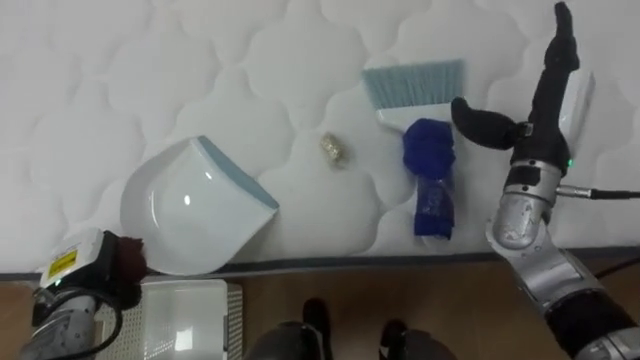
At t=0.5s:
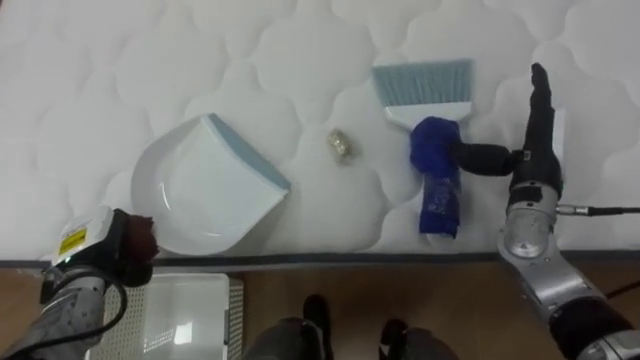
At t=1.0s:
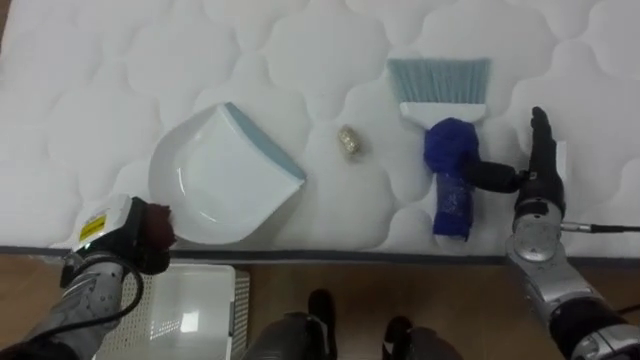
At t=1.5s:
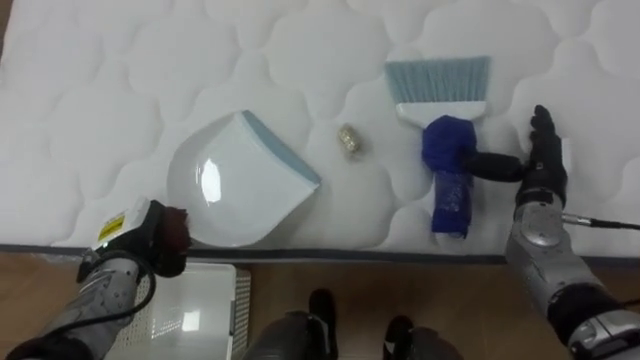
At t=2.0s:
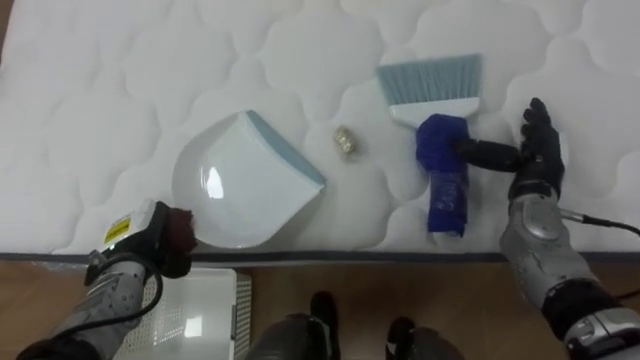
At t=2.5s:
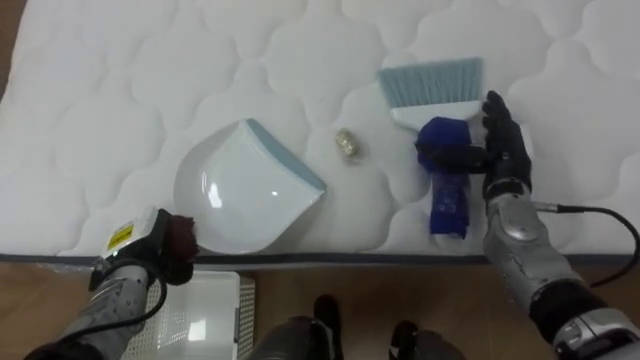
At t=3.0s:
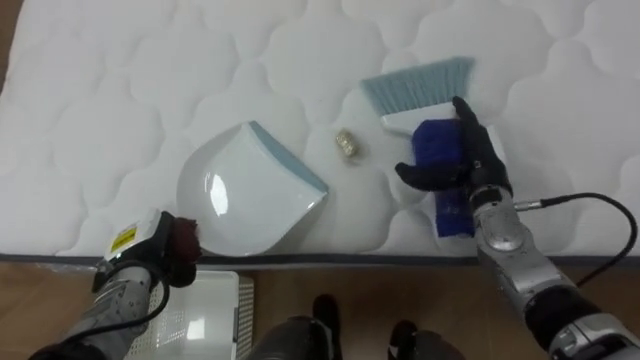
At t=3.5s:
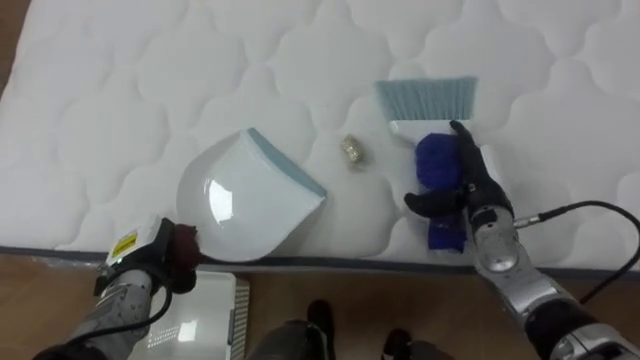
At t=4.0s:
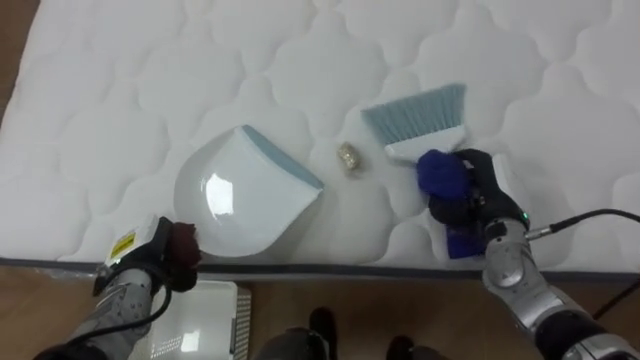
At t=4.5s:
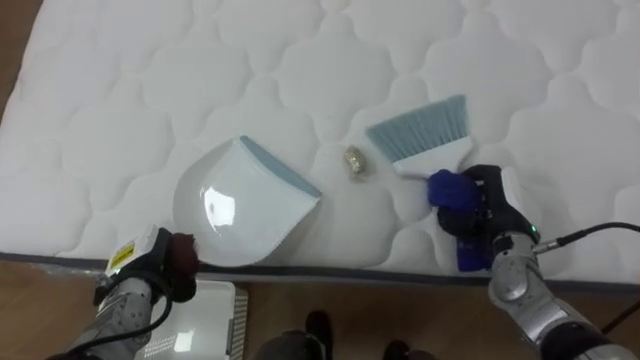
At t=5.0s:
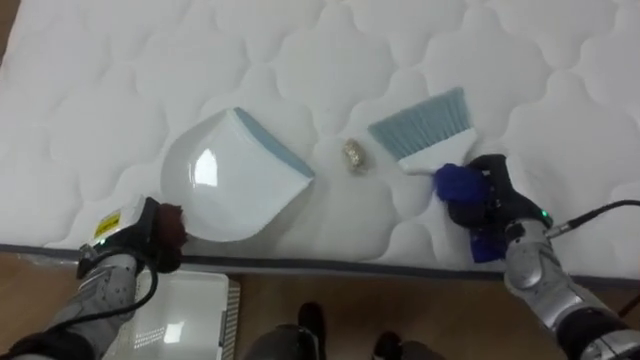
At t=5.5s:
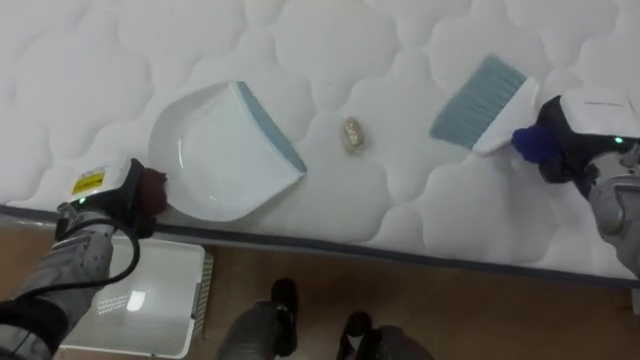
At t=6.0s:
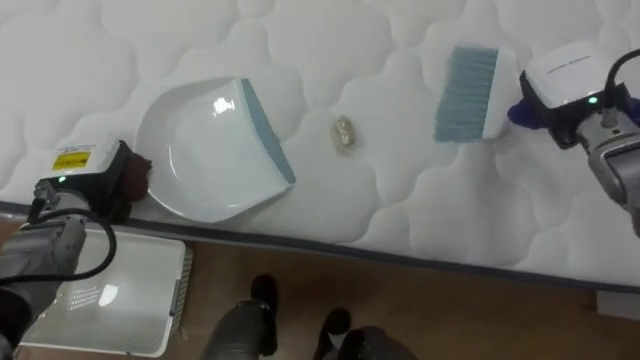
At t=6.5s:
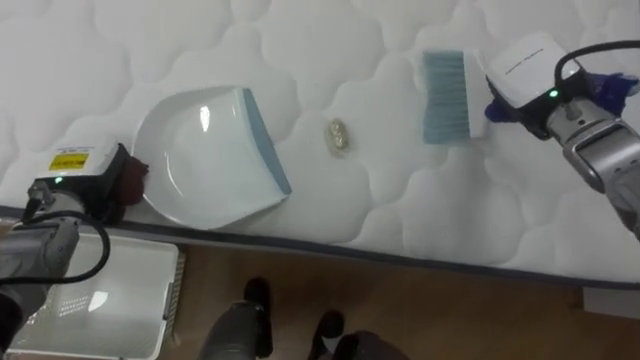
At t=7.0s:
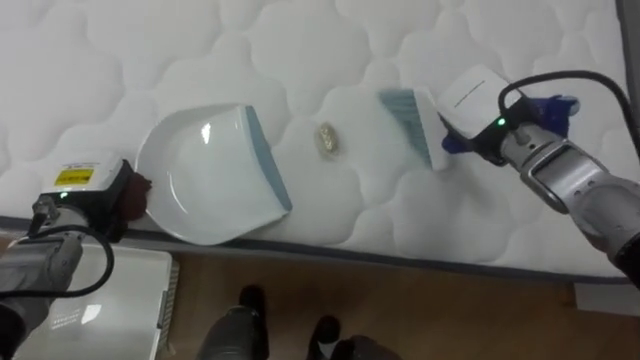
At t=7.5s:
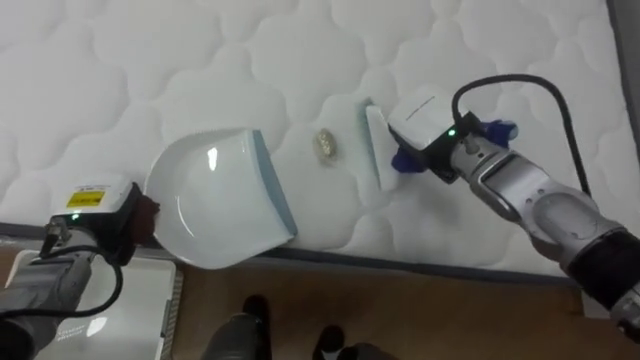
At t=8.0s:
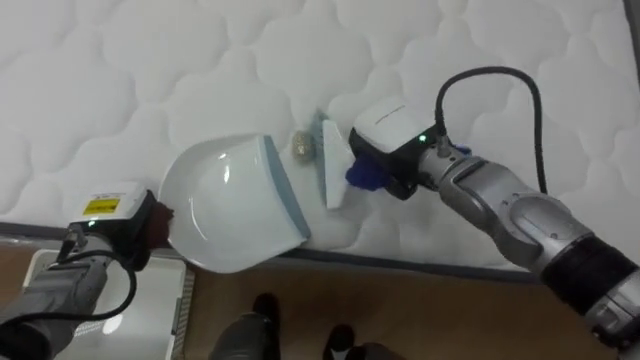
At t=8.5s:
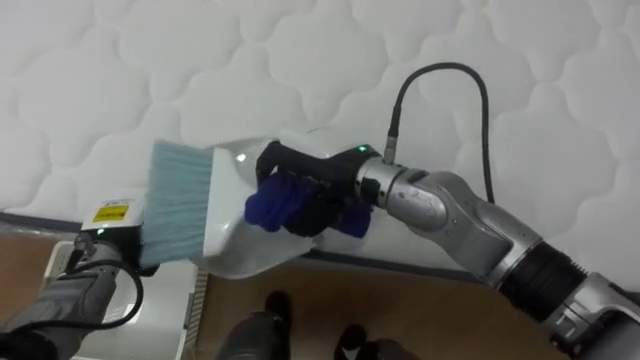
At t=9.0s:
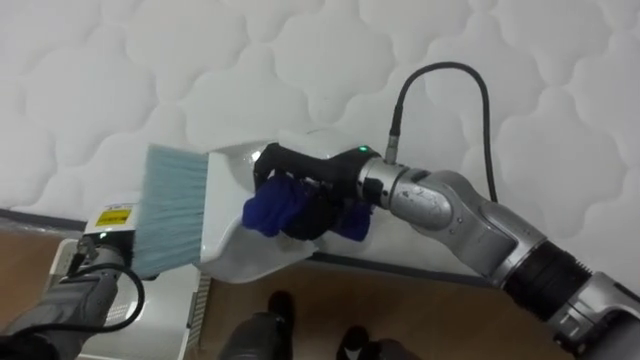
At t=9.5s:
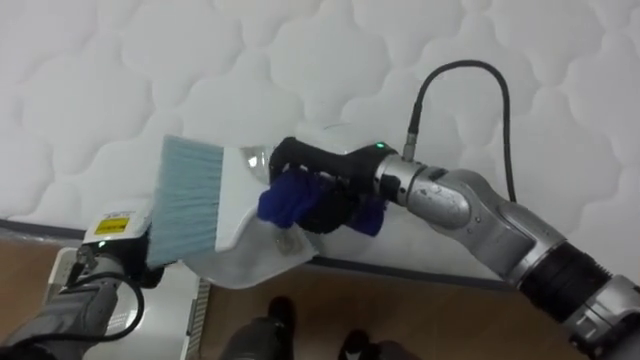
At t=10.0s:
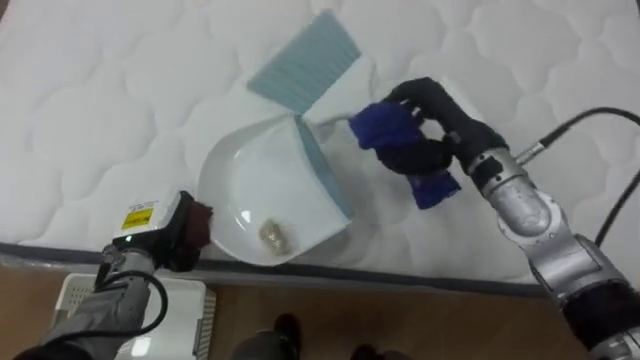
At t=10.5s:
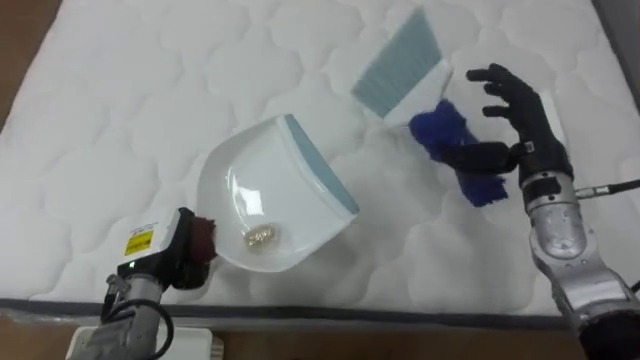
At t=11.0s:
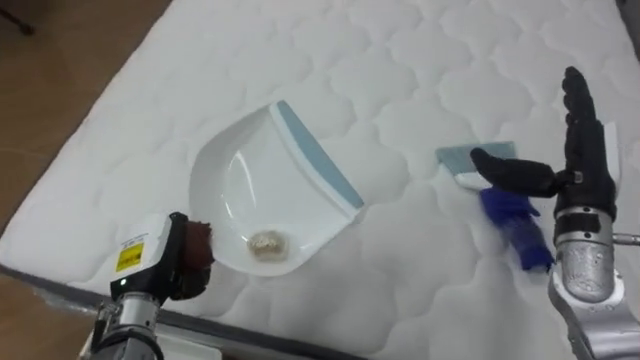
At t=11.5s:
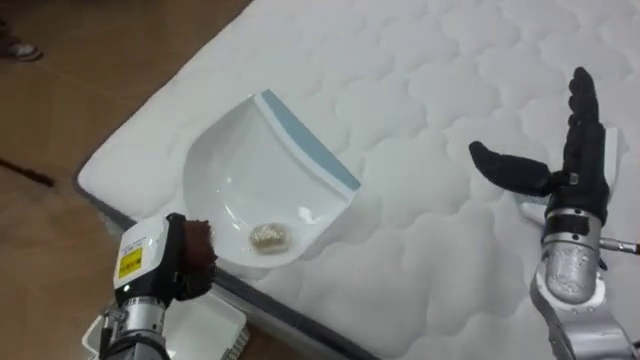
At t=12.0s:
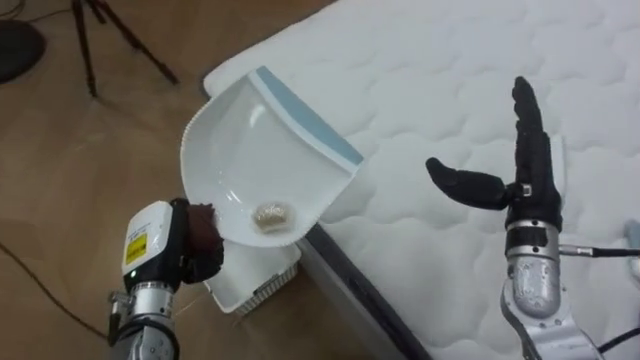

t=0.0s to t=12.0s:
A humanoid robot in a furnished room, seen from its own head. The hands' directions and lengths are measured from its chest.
Task of the whole recording: Pick up the brush on your right and the dustpan on your left. Use the brush to sweep the crumpled paper on the bed into the dustpan, then turn left and empty it into the basket.
t=0.0s to t=2.0s: The right hand goes approximately 10 cm downward, while the left hand travels to the right by some 5 cm.
t=2.0s to t=4.0s: The right hand changes place by approximately 5 cm, and closes up.
t=4.0s to t=6.0s: The right hand moves upward, forward and to the right, about 15 cm, while the left hand heads upward and forward, covering approximately 10 cm.
t=6.0s to t=8.0s: The left hand moves downward, about 5 cm; the right hand moves to the left, approximately 20 cm.
t=8.0s to t=10.0s: Both hands move to the right, approximately 5 cm.
t=10.0s to t=12.0s: The robot rotates about 45 degrees to its left. The right hand heads to the right and backward, covering approximately 10 cm, and opens its fingers.

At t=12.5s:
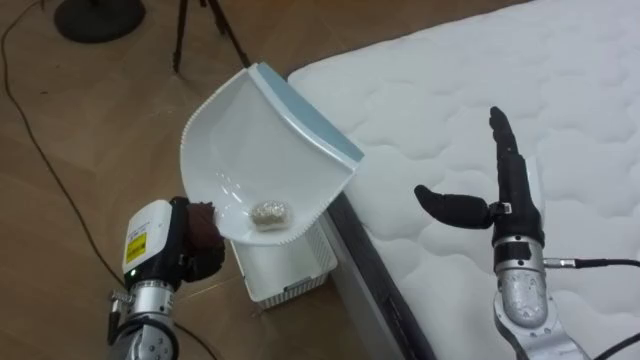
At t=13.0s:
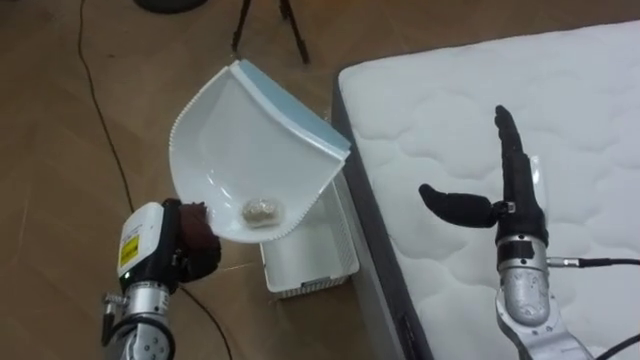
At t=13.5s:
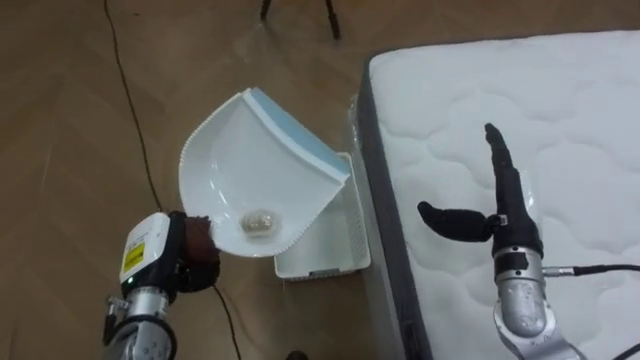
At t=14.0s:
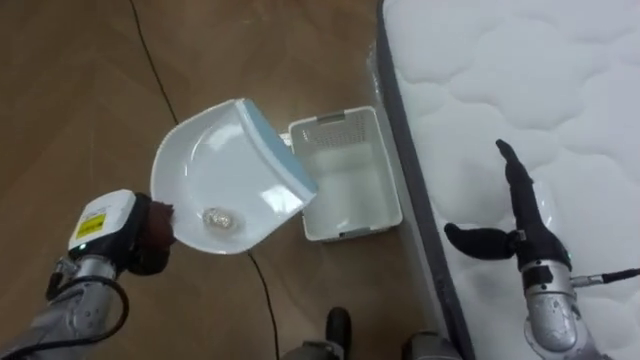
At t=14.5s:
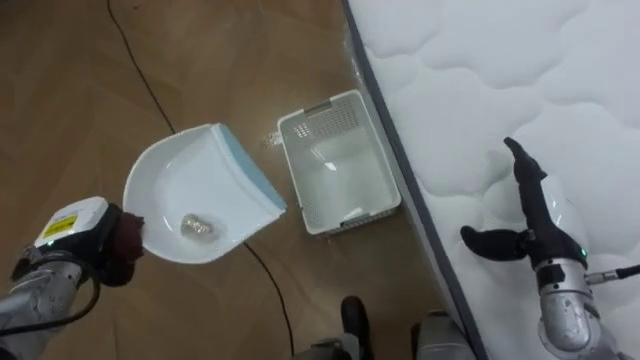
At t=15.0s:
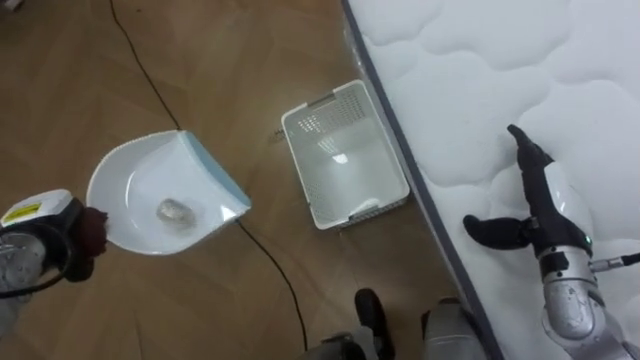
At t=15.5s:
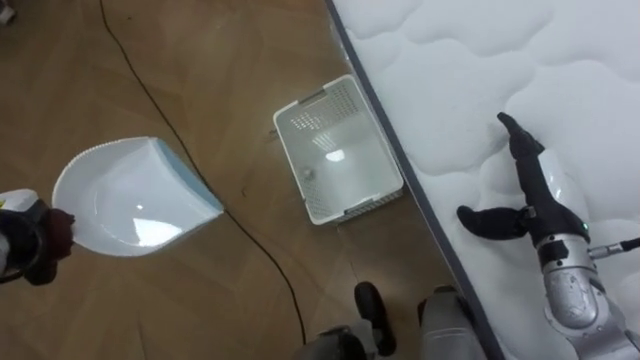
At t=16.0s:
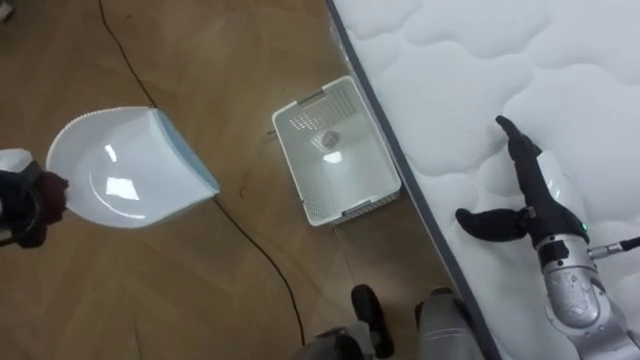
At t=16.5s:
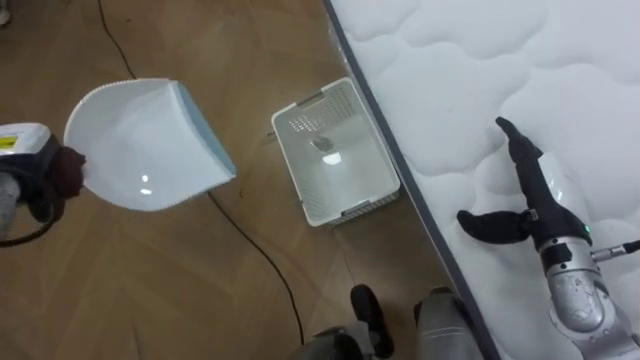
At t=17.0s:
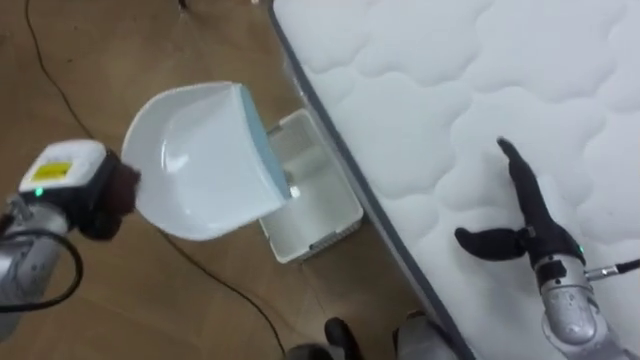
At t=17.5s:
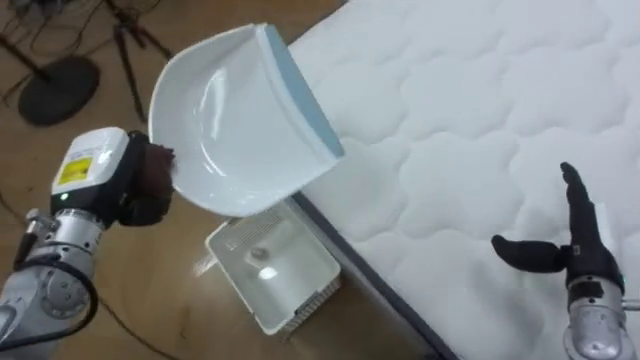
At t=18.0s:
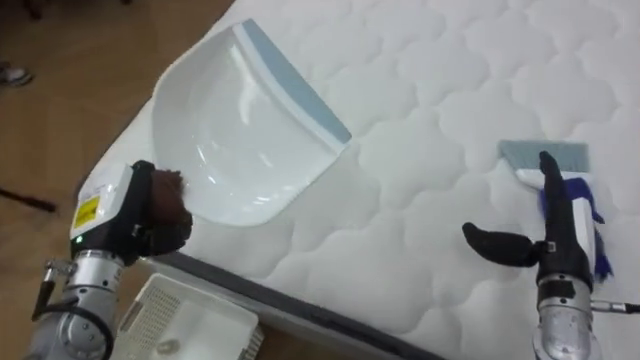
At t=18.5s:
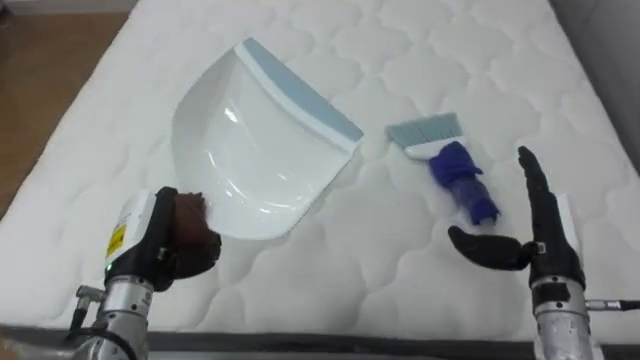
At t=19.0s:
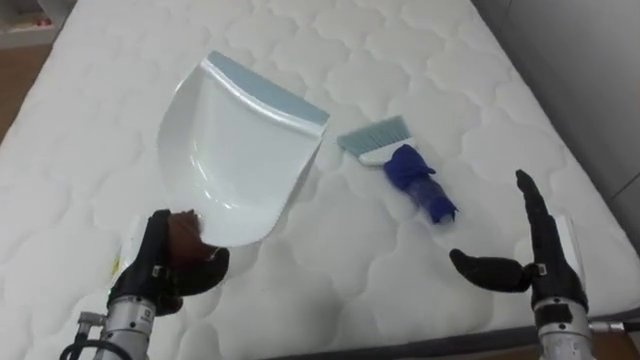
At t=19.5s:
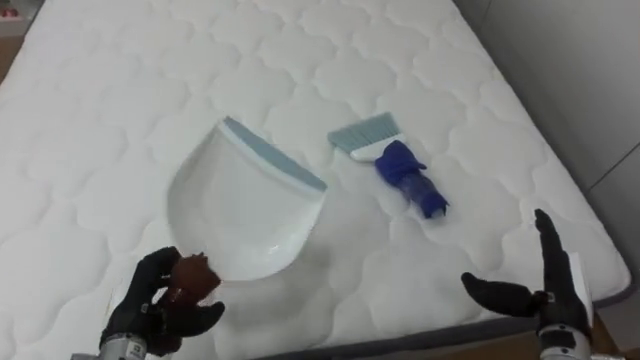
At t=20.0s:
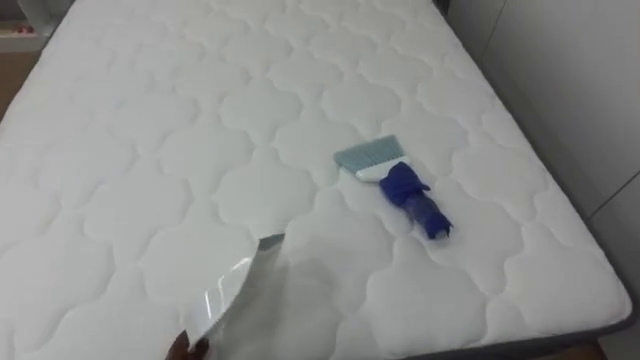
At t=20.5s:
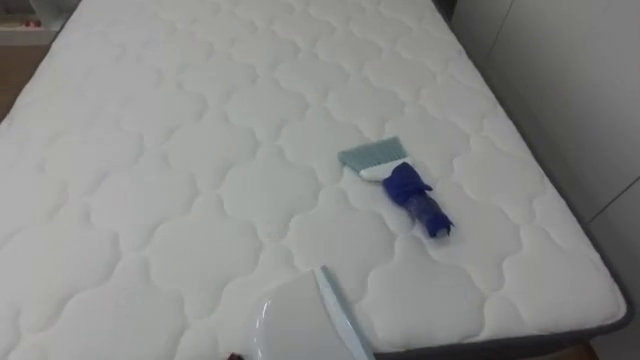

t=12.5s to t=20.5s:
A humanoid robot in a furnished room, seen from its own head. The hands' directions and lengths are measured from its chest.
Task of the whole recording: Pick up the brush on your right and the dustpan on your left. Use the brush to sweep the crumpled paper on the bed into the dustpan, then turn left and empty it into the basket.
t=12.5s to t=14.5s: The left hand heads to the left, covering some 10 cm. The right hand shifts by about 5 cm.
t=16.5s to t=18.5s: The robot's body swings some 85 degrees to its right. The left hand heads to the right and backward, covering approximately 20 cm.
